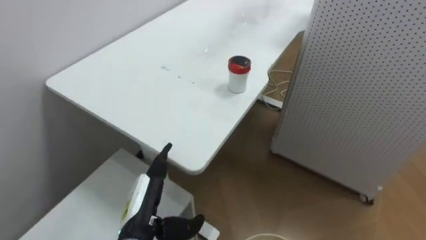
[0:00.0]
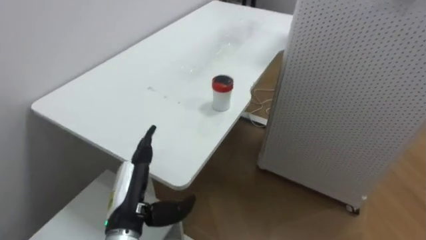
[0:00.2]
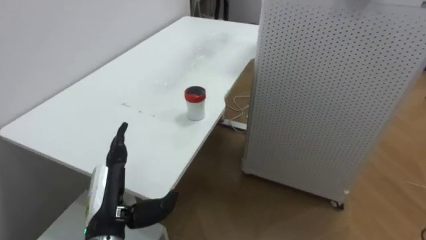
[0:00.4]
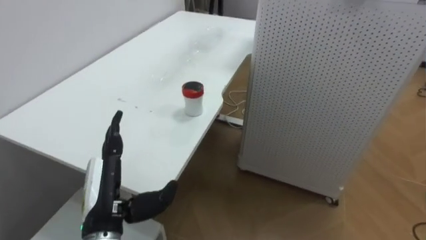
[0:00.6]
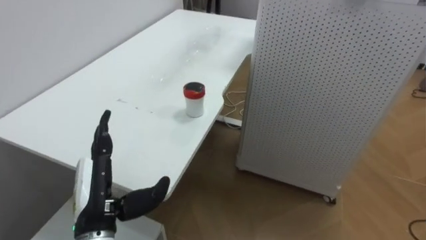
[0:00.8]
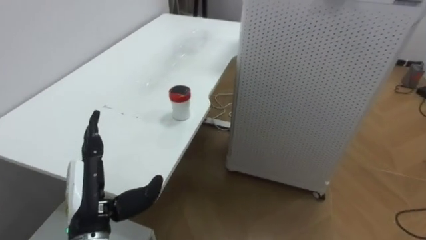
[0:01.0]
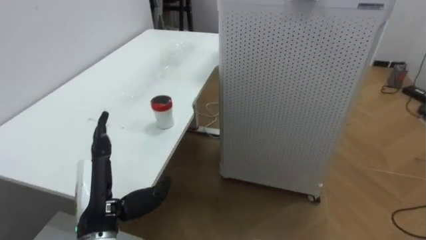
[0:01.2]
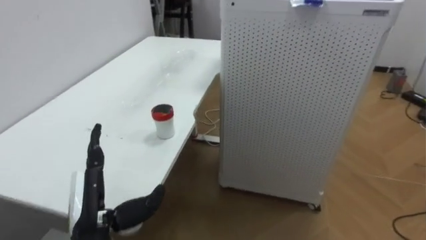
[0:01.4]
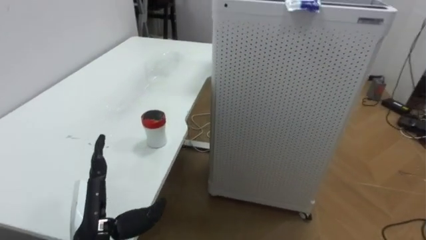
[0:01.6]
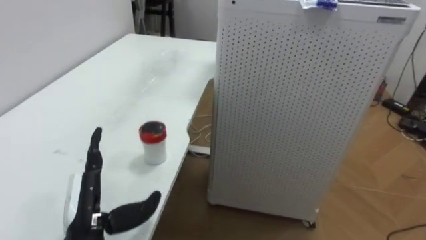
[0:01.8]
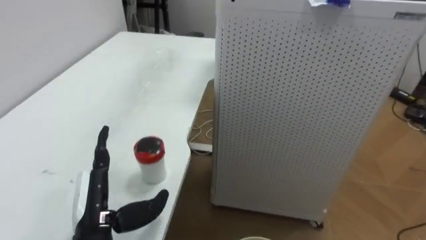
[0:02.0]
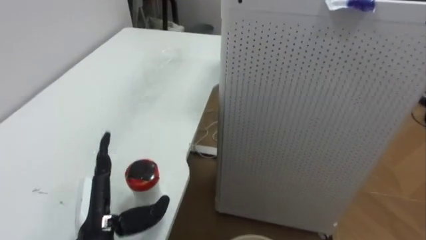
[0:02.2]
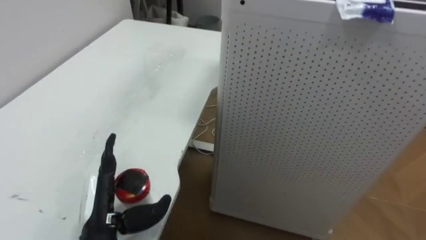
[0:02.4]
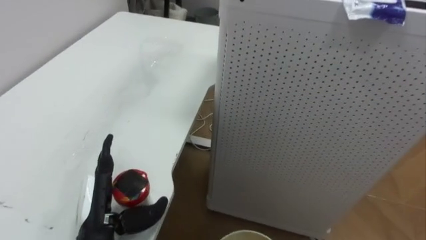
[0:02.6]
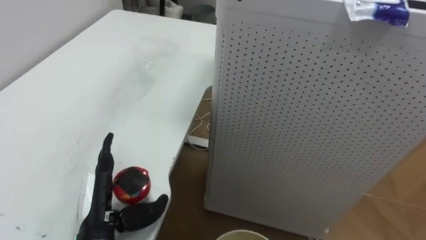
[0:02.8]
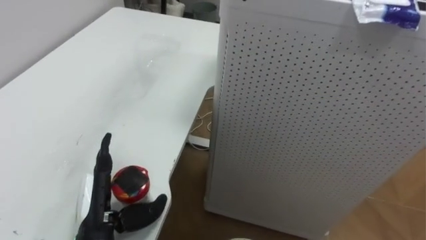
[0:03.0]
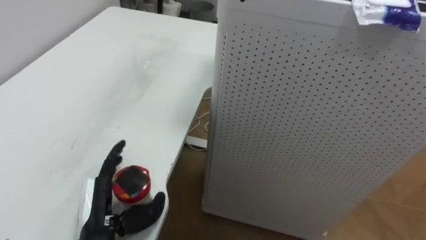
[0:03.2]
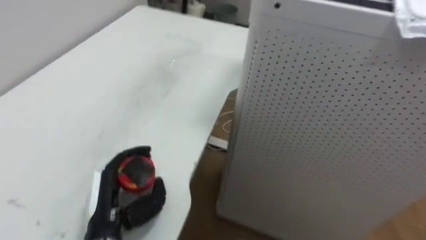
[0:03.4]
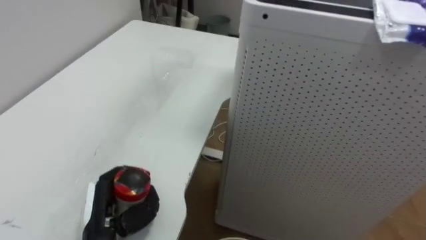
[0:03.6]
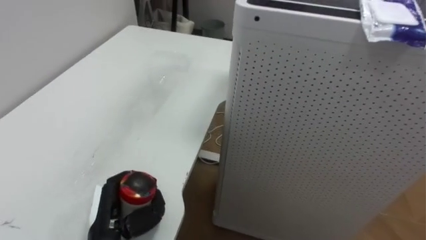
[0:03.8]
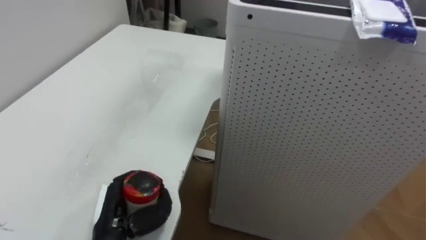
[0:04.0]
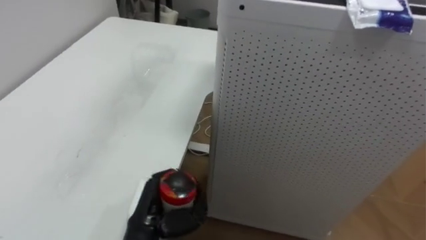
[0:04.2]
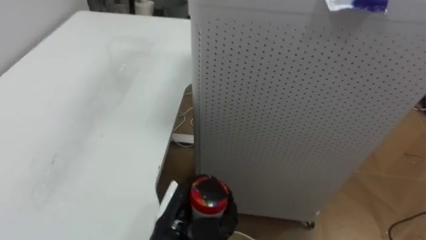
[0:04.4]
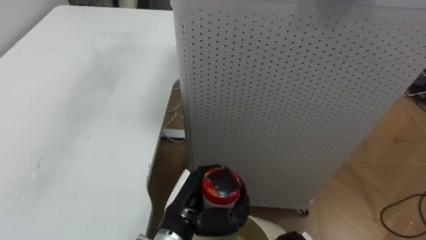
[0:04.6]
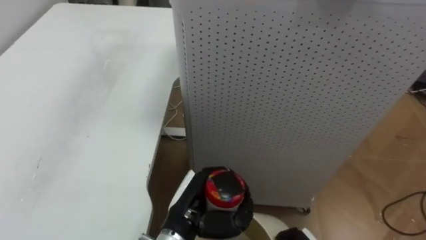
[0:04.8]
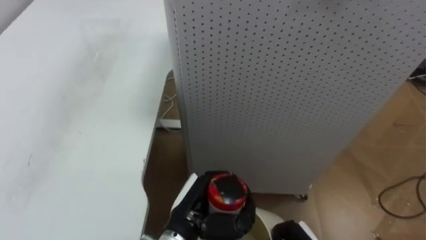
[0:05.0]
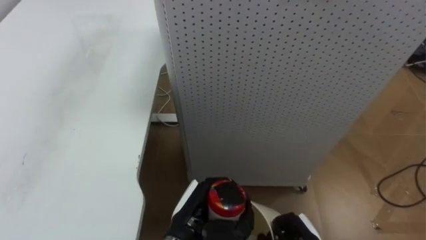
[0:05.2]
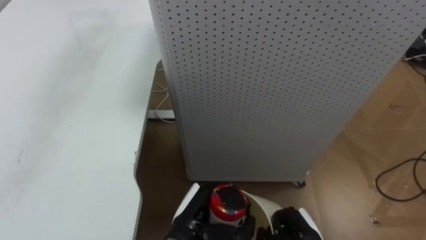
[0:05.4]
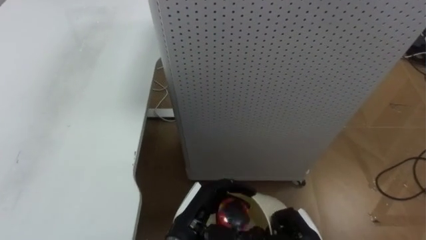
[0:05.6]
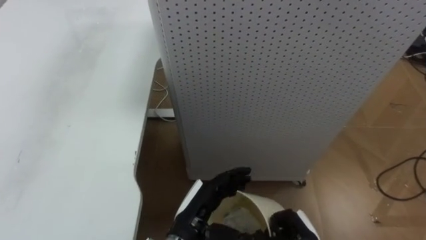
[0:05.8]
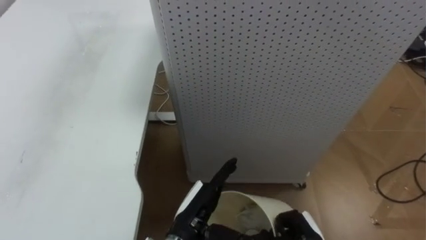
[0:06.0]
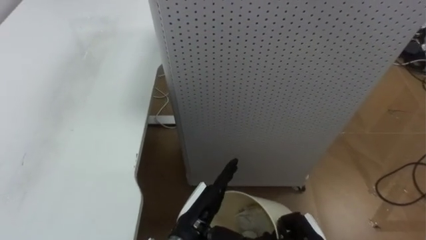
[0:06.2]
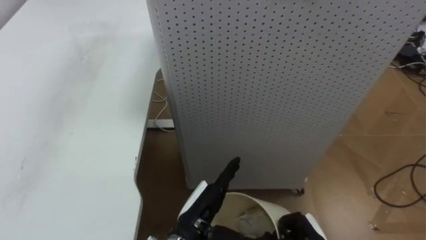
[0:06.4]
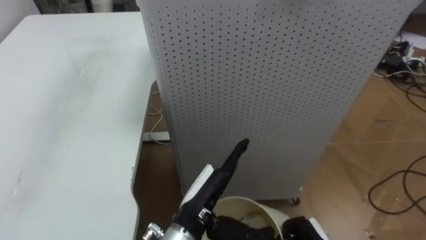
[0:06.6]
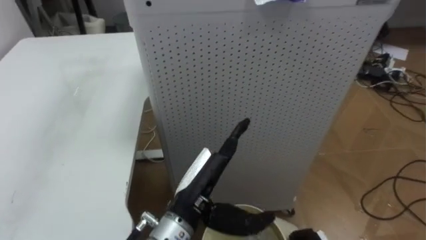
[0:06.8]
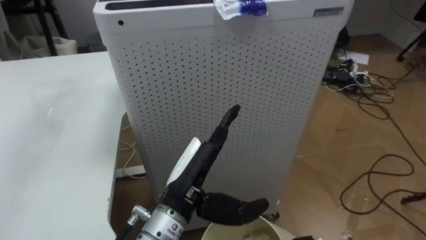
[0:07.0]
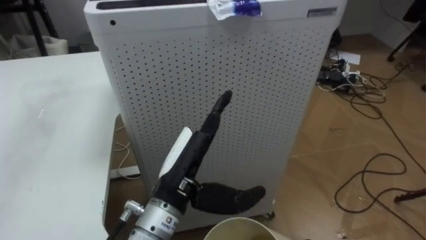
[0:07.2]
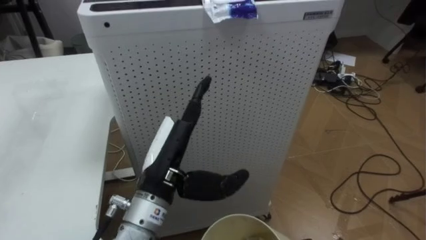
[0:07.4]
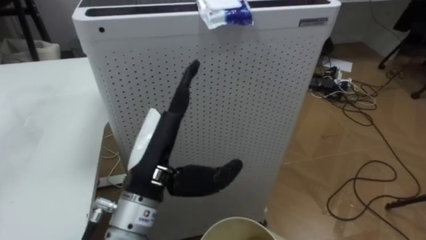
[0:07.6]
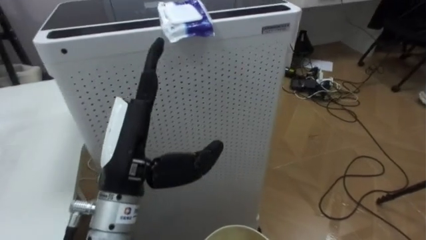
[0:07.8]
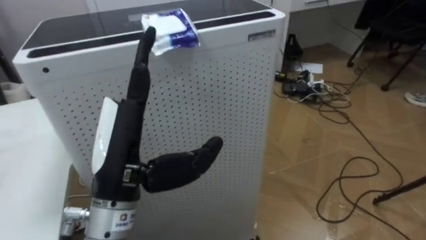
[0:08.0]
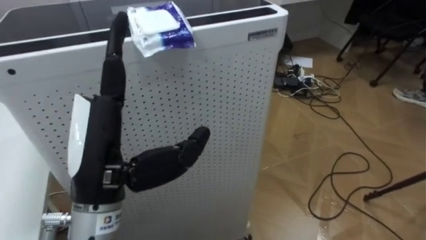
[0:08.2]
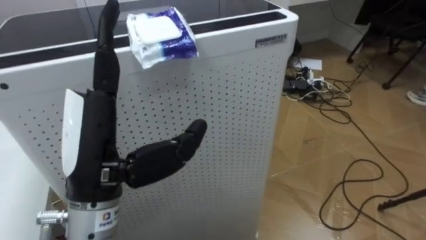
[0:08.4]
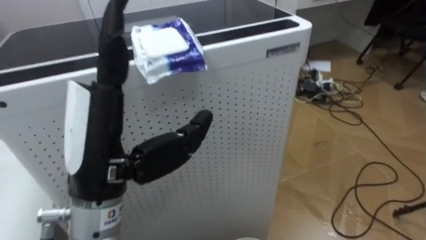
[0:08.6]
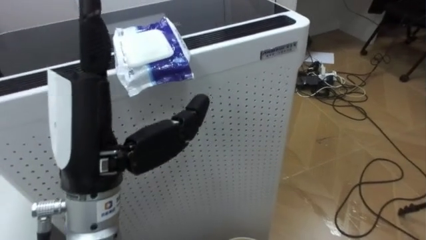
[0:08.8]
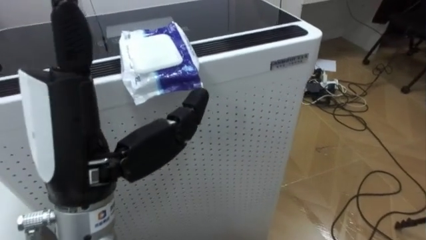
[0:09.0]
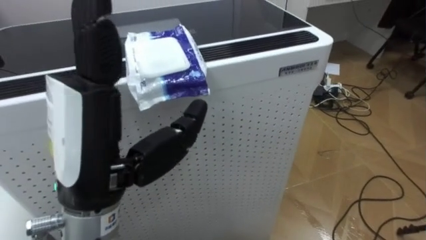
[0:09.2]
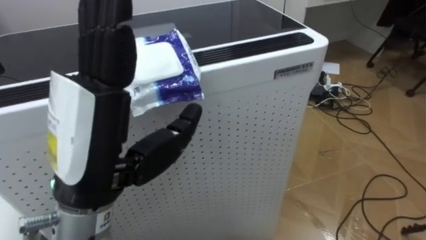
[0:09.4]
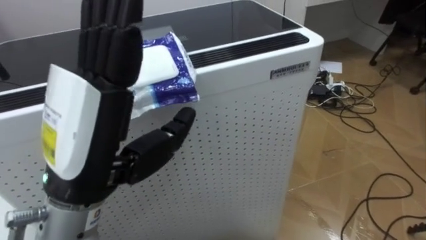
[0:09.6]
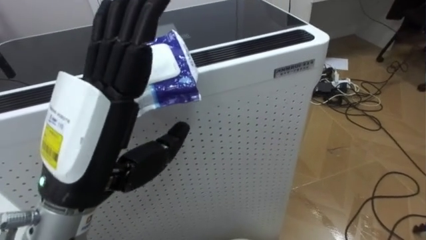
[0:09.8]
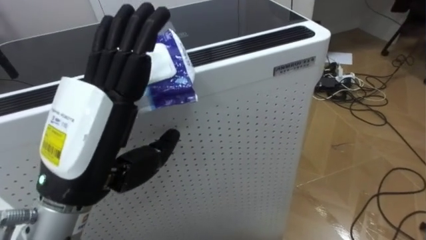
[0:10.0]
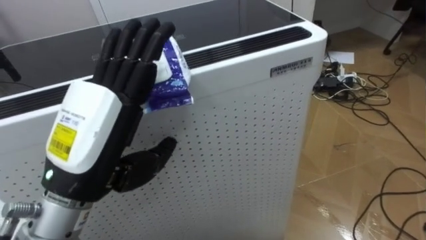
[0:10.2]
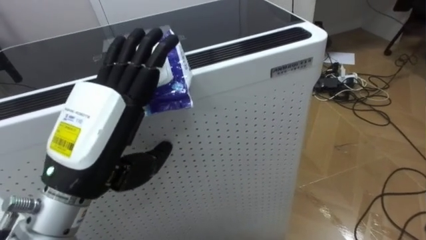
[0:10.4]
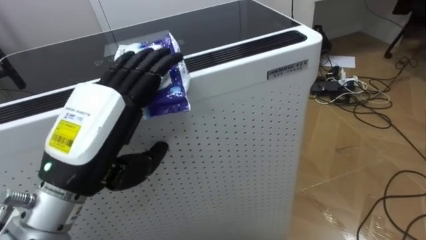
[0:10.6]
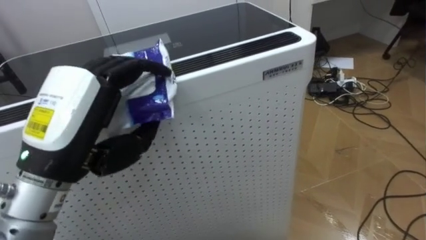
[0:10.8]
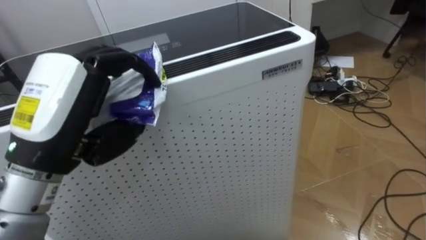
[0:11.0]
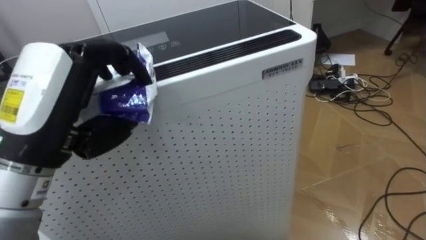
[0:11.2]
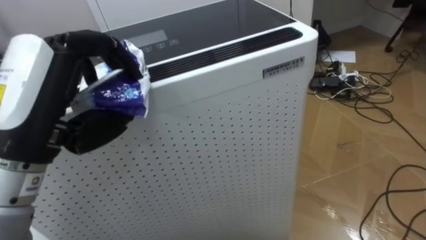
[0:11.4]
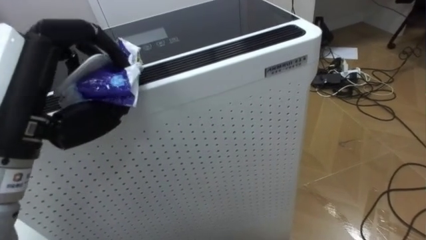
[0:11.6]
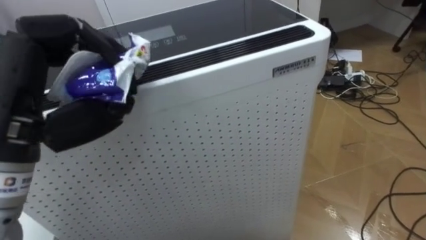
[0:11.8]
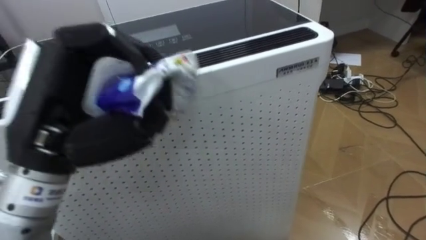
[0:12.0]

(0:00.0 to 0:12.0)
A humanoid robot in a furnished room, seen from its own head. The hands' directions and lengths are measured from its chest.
Task of the whole recording: Pick up the light blue package, the candy box, and the dark blue package separately, and put them into the trash can held in your right hand.
0:00.0 - 0:01.6: The robot's body swings about 25 degrees to its right. The left hand heads to the left, covering some 10 cm.
0:03.0 - 0:04.4: The left hand travels to the right by roughly 10 cm, and closes its fingers.
0:04.4 - 0:06.0: The left hand opens its fingers.
0:06.0 - 0:07.6: The left hand goes approximately 15 cm upward.
0:07.6 - 0:09.0: The left hand shifts approximately 15 cm upward, backward and to the left.
0:09.0 - 0:10.4: The left hand moves roughly 5 cm.
0:10.4 - 0:12.0: The left hand changes place by about 5 cm, and closes its fingers.

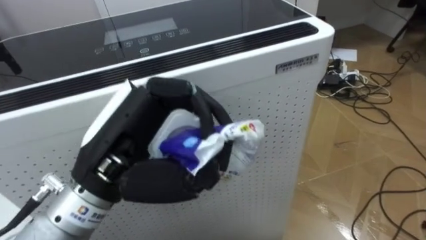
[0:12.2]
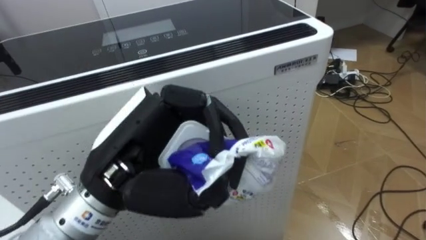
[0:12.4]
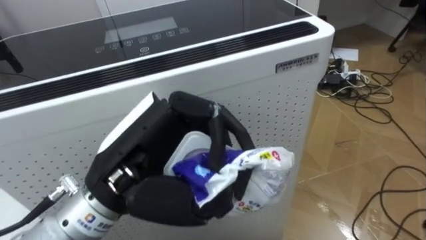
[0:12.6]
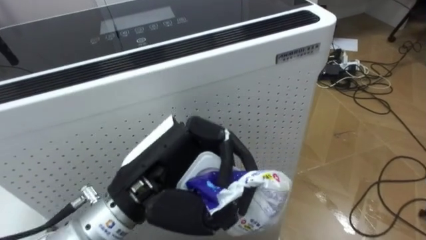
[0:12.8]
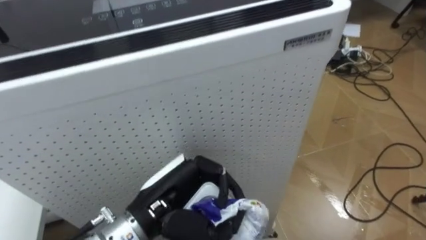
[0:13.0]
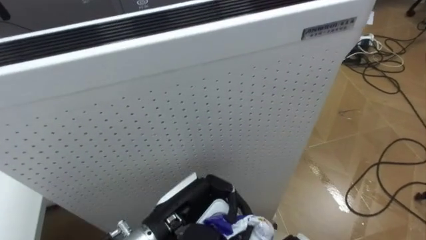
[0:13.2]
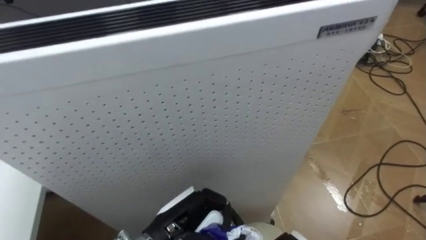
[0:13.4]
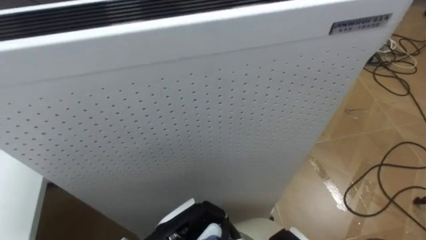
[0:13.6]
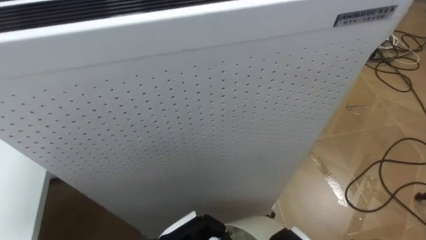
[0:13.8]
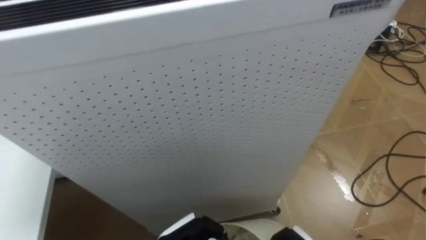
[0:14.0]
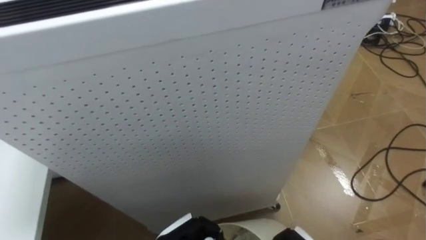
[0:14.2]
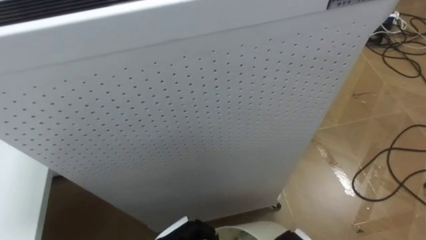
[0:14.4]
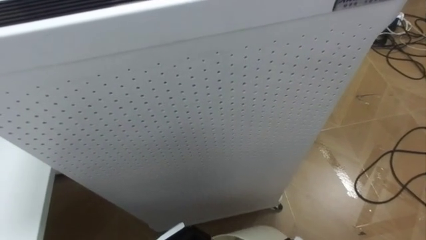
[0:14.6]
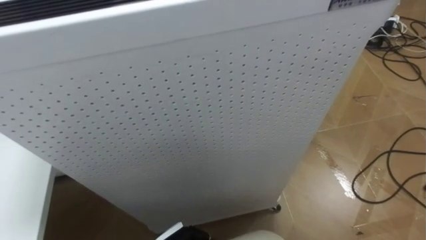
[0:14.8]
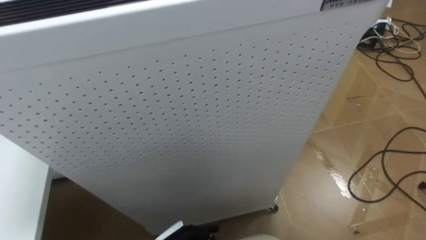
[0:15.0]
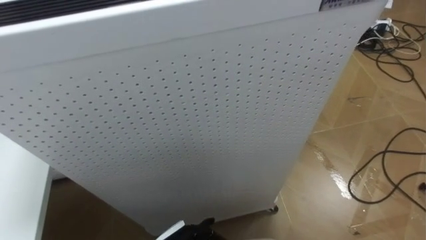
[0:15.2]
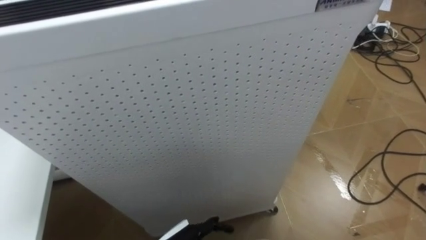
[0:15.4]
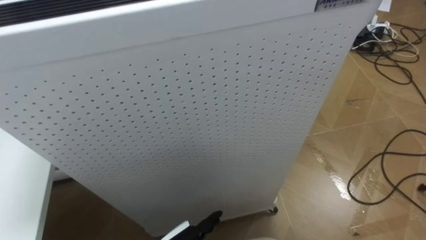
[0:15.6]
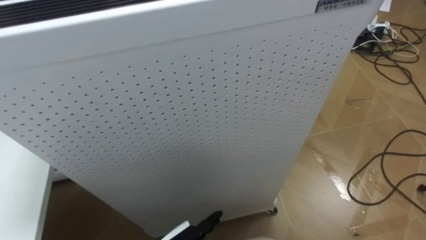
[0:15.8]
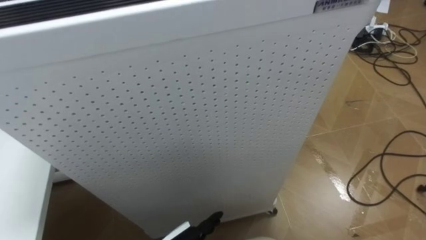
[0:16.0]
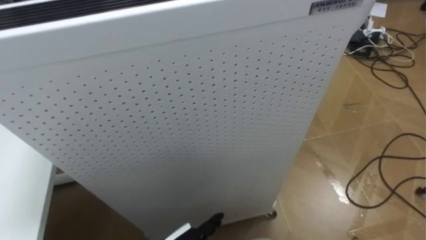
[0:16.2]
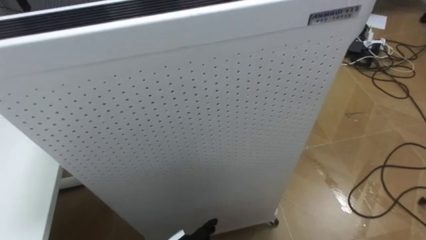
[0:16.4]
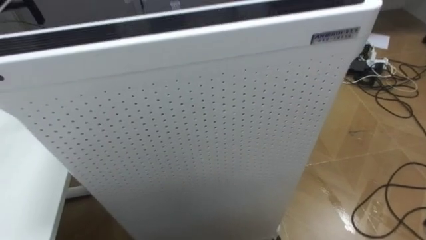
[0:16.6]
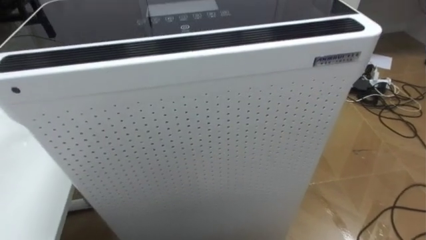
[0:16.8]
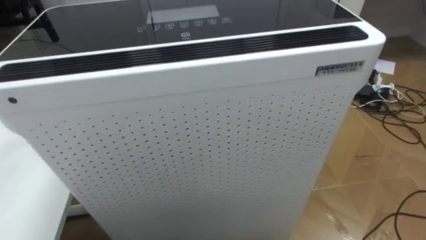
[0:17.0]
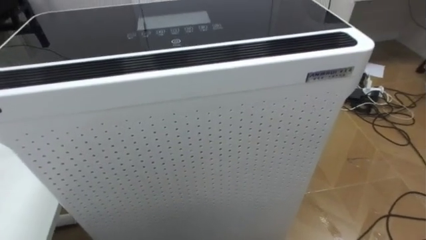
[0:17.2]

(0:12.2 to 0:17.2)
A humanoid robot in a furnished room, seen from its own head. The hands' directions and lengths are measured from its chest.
Task of the whole recording: Pick up the light blue package, the candy box, and the dark blue package separately, and put them into the trash can held in your right hand.
0:12.2 - 0:13.8: The left hand is displaced downward by roughly 25 cm.
